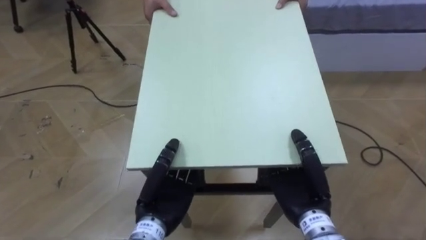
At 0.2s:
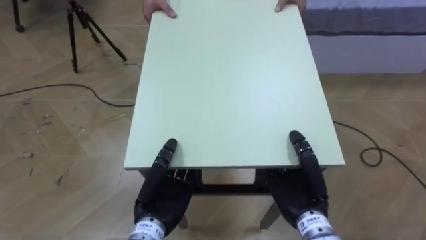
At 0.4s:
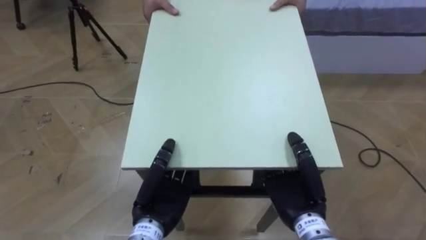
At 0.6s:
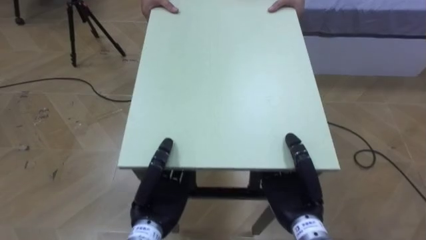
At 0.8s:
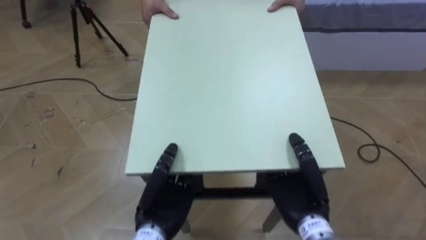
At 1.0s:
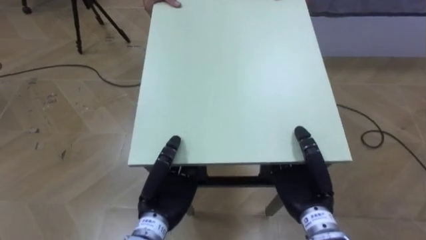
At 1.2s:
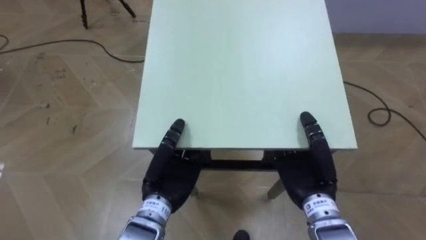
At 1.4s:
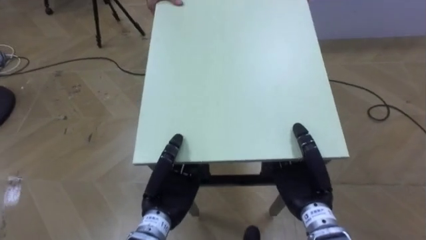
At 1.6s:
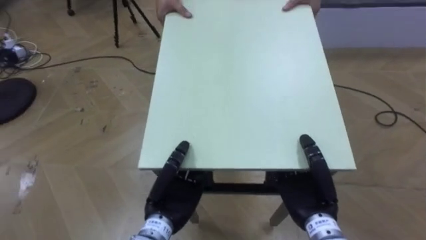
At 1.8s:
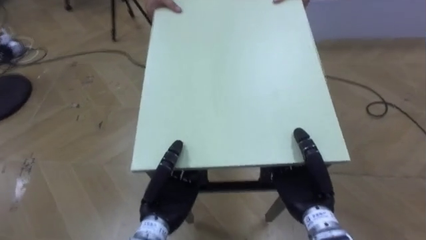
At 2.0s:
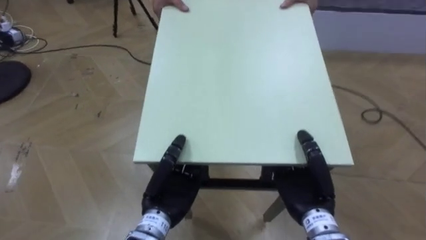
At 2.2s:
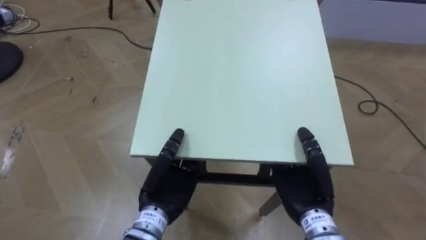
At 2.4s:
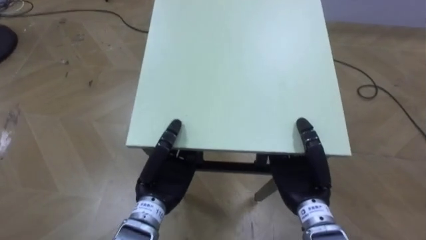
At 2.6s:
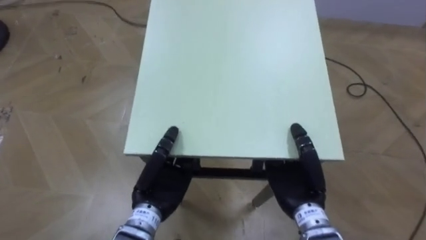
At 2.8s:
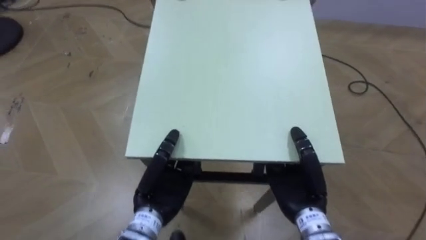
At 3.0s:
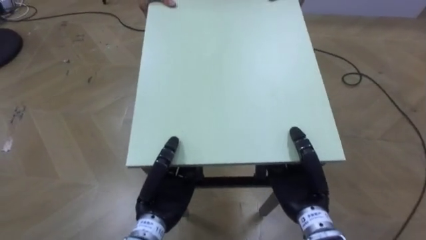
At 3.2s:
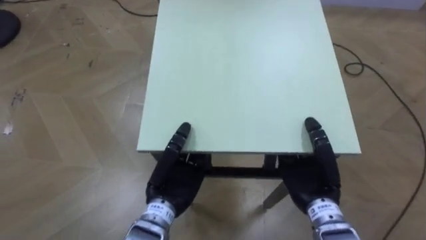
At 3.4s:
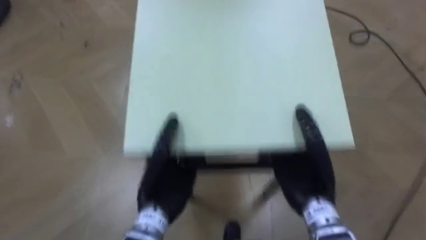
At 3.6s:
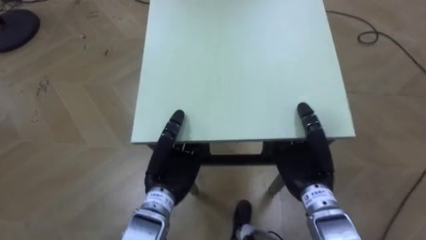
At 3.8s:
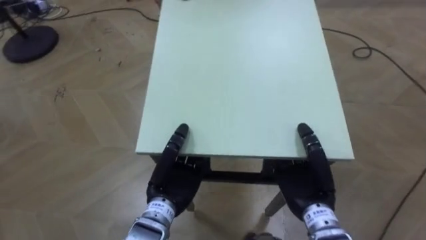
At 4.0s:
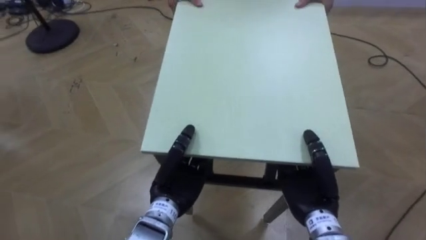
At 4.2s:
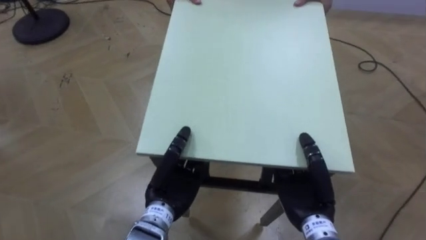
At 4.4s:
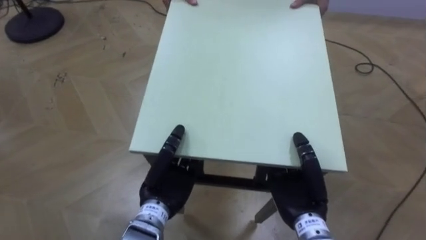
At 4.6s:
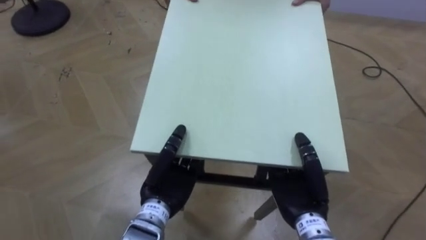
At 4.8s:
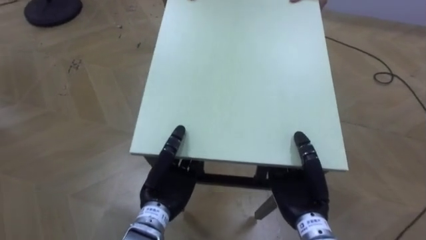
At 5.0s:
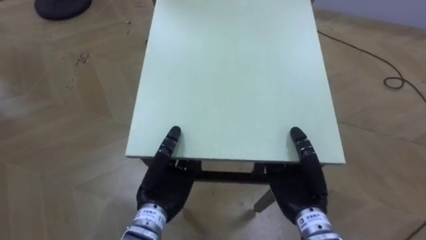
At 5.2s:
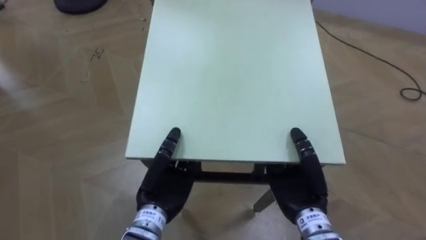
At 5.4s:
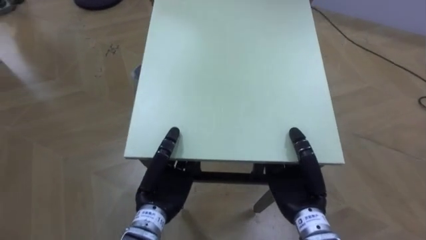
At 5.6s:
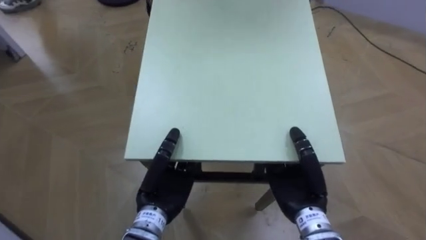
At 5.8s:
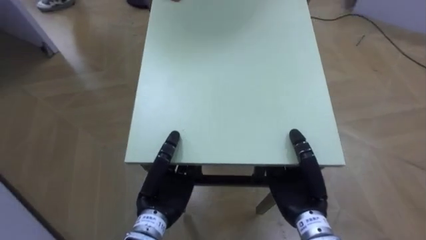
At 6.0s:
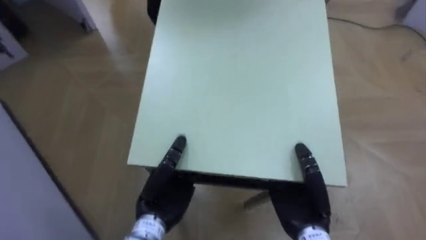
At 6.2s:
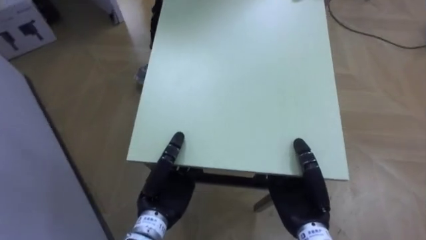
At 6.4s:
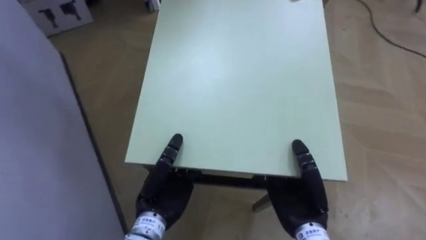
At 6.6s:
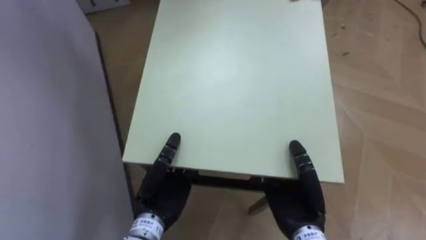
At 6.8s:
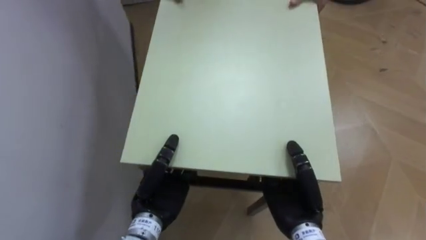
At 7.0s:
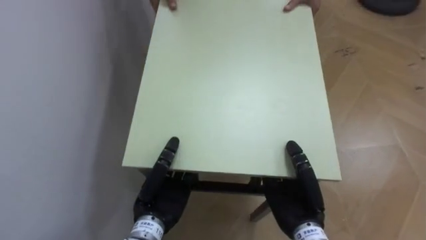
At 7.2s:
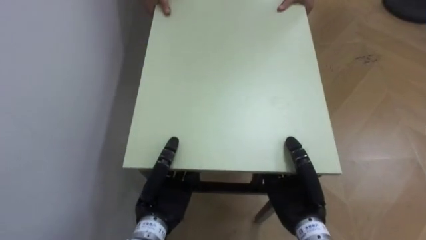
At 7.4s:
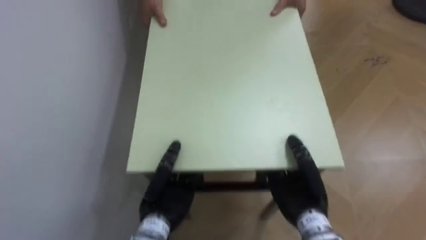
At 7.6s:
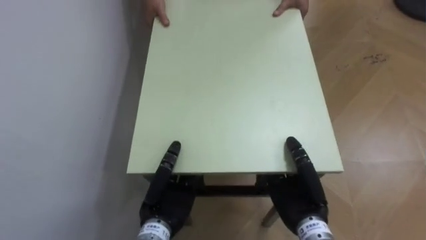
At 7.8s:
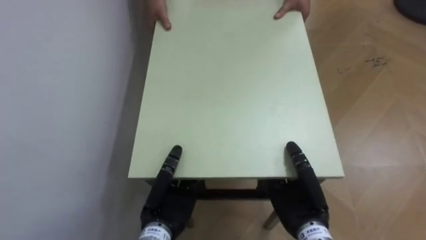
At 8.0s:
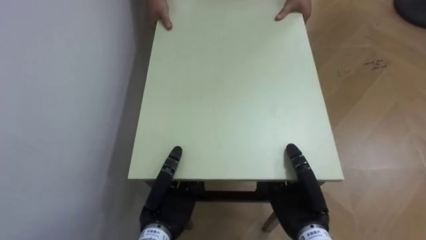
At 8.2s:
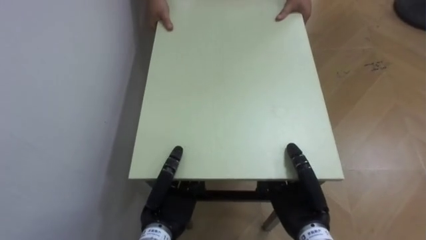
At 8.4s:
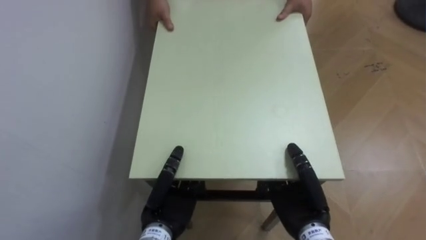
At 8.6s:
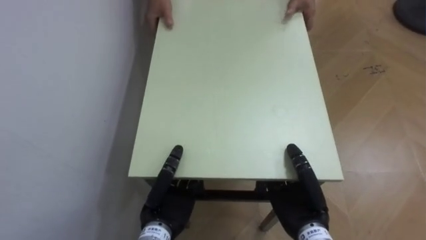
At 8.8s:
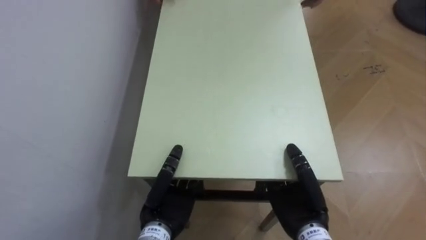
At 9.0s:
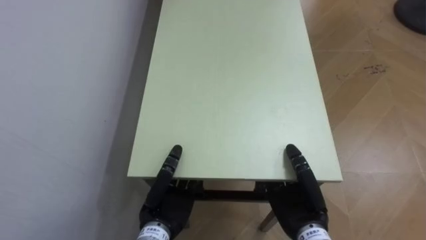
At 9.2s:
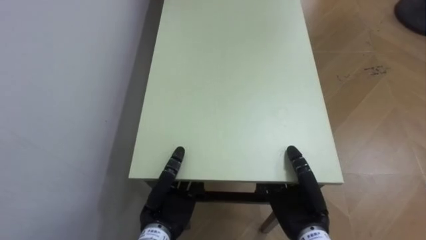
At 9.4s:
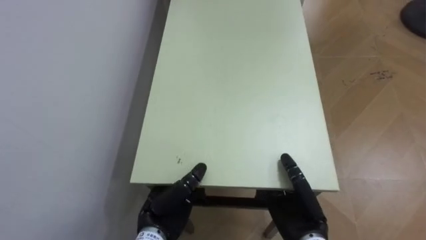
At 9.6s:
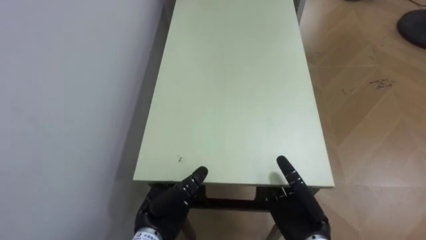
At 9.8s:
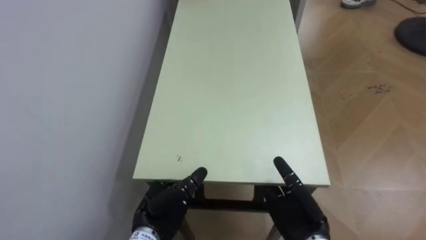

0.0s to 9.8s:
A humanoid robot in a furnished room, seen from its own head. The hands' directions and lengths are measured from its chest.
Task of the whole recording: Move the table to the back left with someone.
5.6s to 7.0s: The robot turns to its left by roughly 55 degrees.
8.4s to 9.8s: The right hand opens, while the left hand opens up.

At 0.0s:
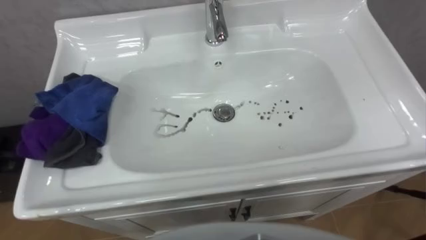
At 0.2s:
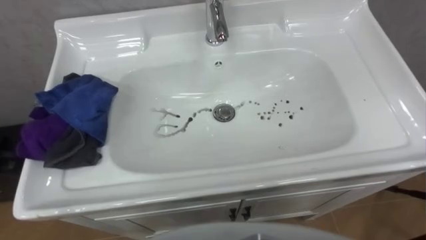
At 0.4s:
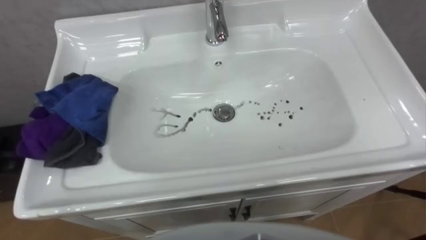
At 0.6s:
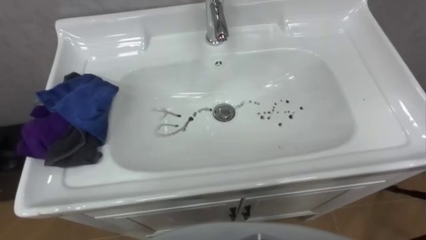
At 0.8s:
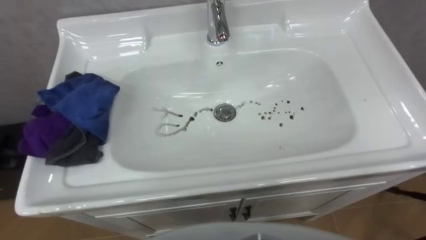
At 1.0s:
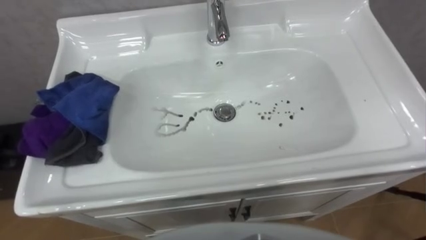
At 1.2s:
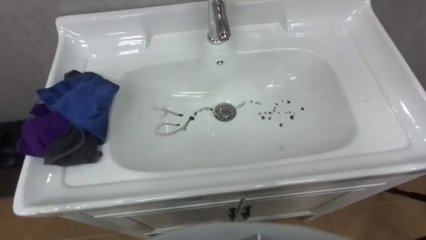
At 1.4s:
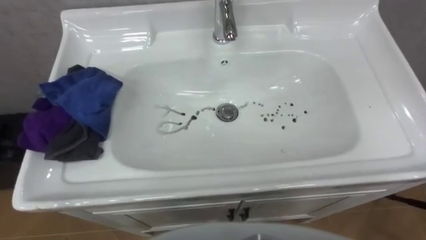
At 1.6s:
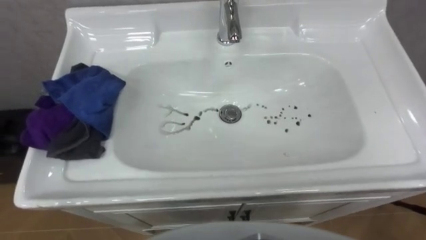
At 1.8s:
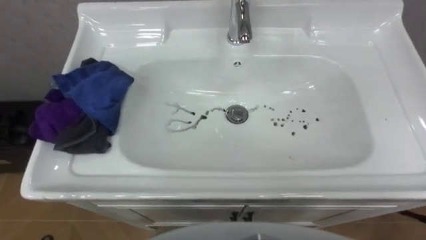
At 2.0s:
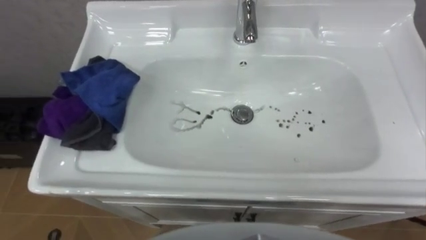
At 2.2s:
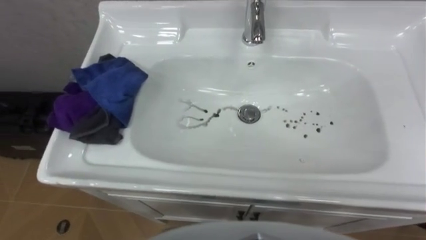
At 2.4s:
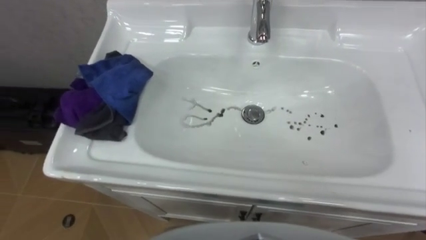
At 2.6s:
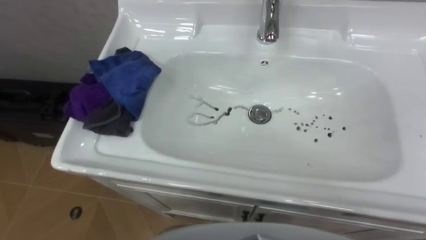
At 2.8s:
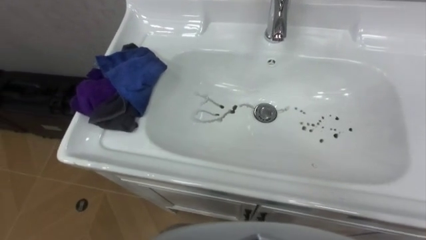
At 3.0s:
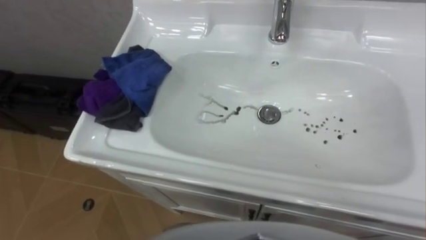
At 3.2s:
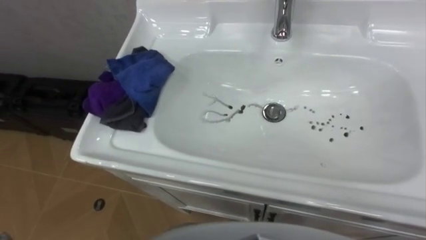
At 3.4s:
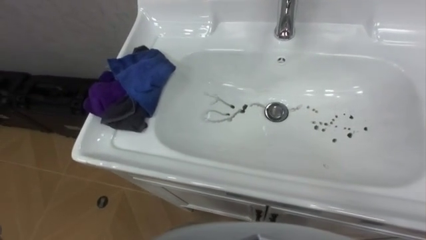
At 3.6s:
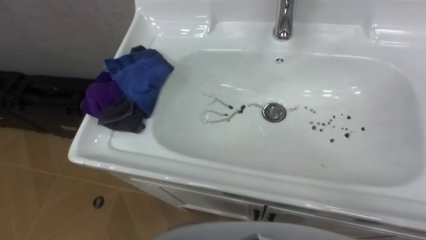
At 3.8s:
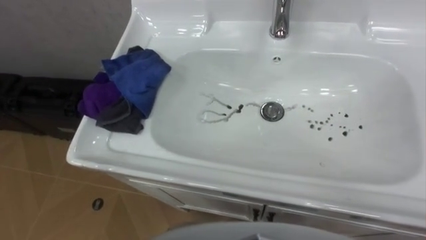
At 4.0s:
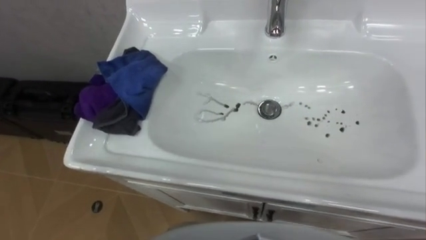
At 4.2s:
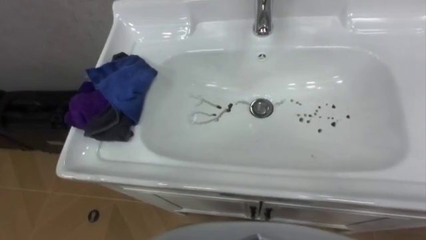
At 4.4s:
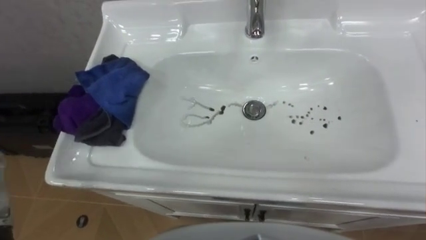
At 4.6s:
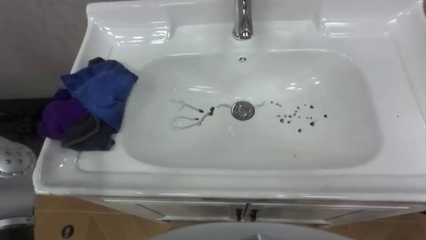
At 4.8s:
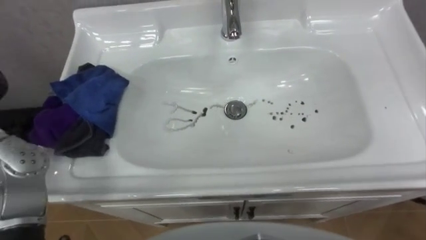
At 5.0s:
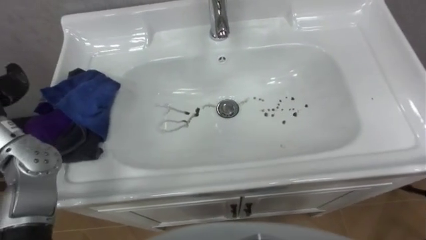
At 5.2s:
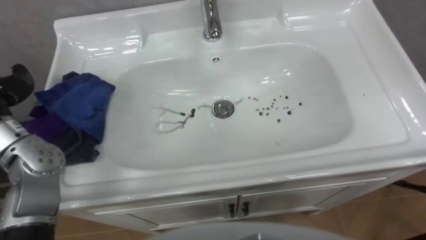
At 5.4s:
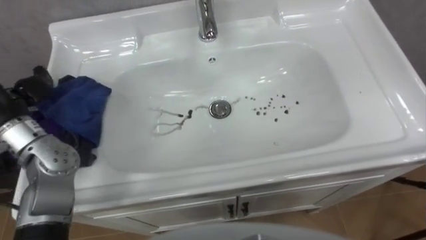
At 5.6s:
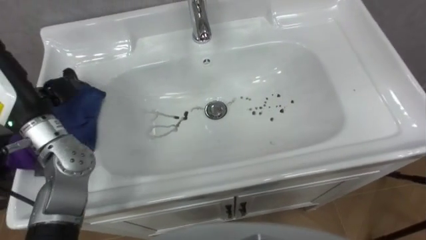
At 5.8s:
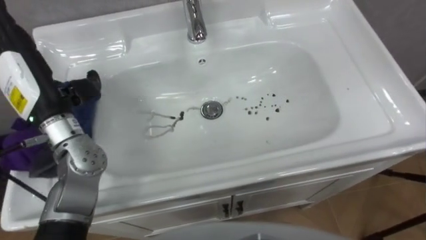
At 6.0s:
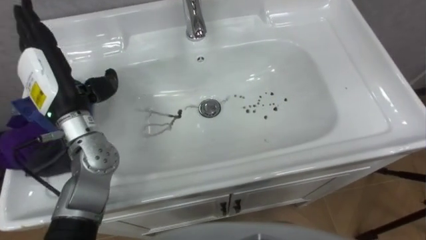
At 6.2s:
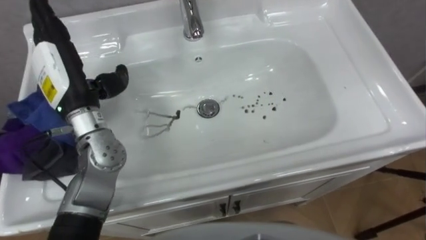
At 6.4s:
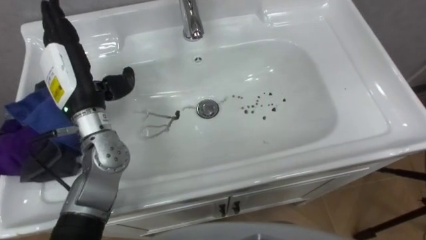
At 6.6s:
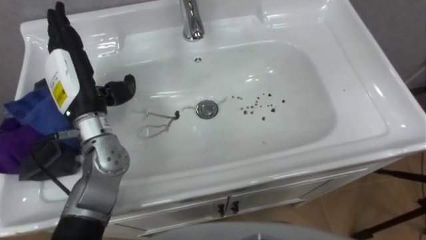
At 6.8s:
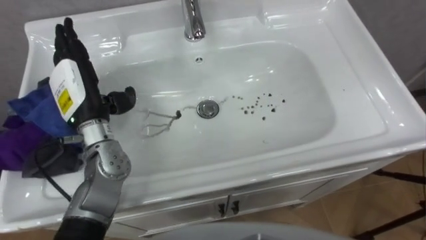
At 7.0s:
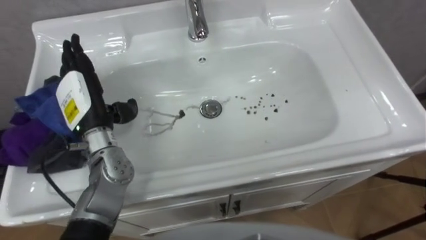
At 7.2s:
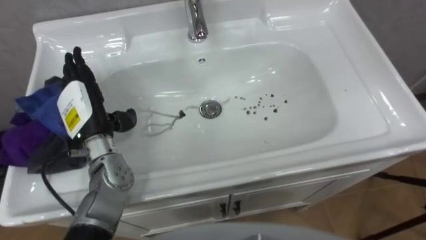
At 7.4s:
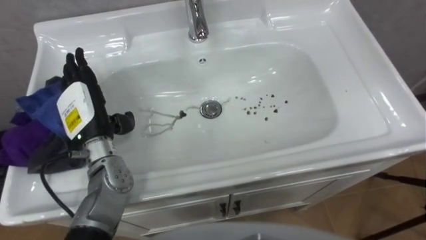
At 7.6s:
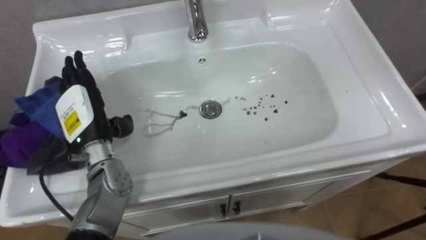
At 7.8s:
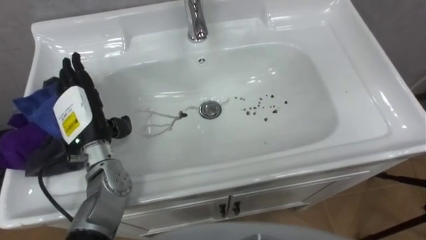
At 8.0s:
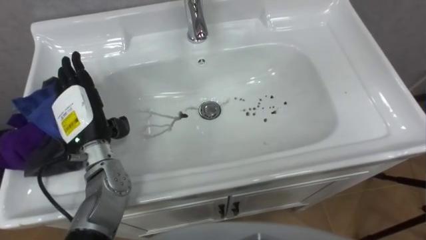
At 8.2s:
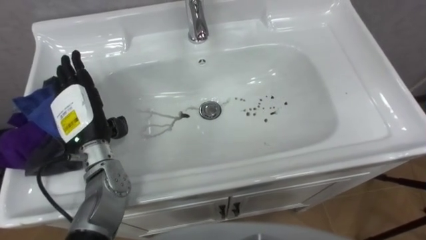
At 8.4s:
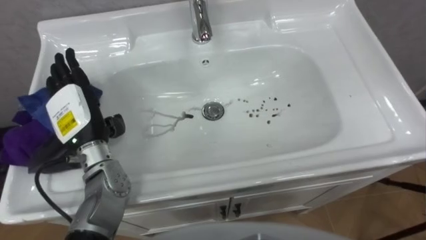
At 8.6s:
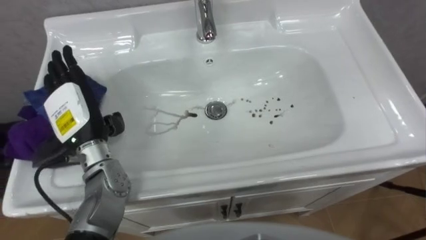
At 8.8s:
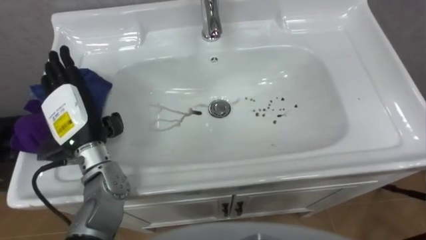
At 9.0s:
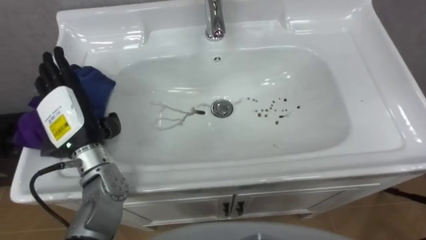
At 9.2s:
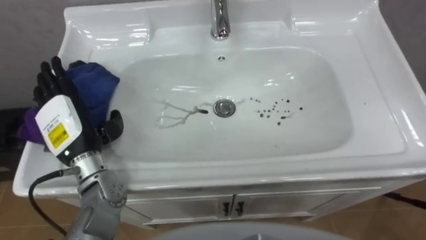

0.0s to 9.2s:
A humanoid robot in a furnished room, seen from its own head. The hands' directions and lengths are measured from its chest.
Task of the whole recording: Use the cloth on the right to wipe away the black stain in the sink.
6.2s to 7.6s: The left hand shifts some 10 cm downward.
